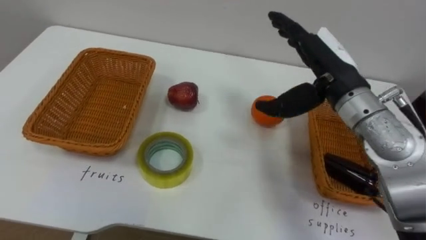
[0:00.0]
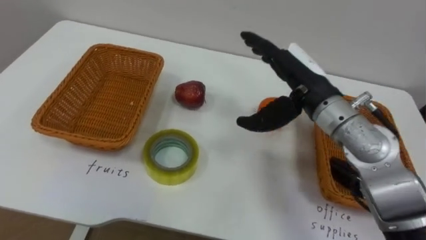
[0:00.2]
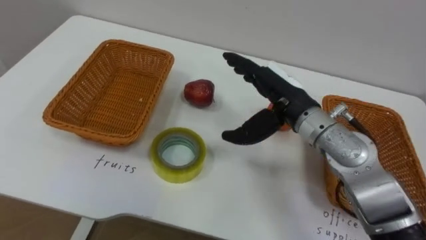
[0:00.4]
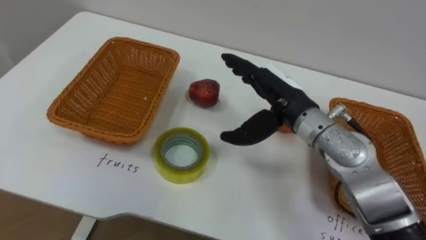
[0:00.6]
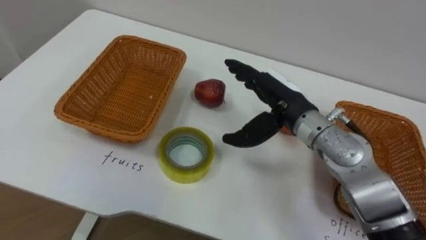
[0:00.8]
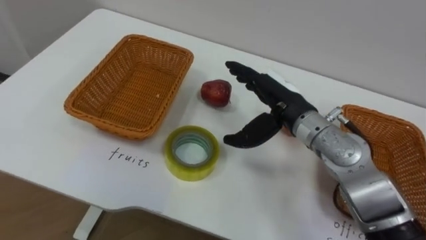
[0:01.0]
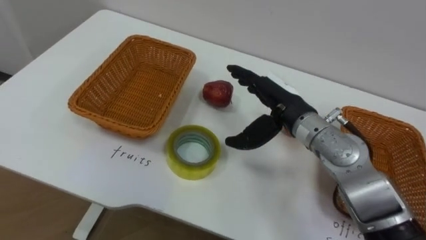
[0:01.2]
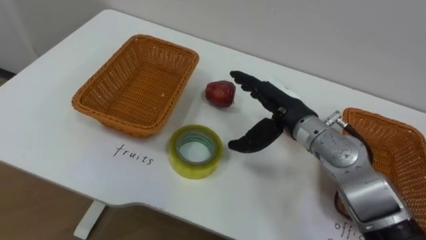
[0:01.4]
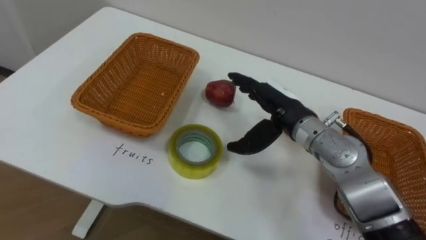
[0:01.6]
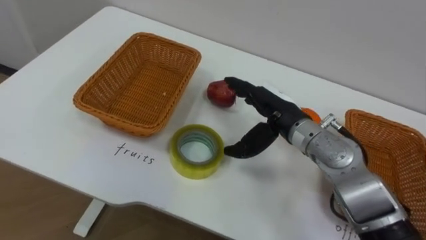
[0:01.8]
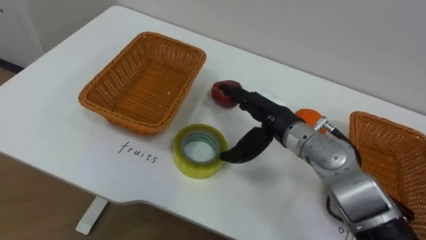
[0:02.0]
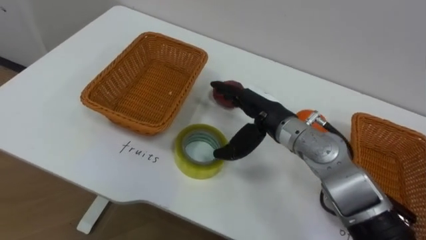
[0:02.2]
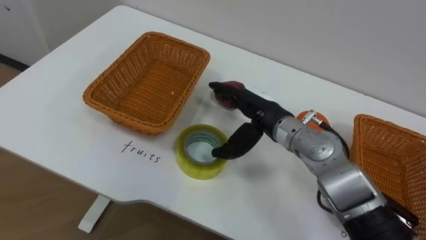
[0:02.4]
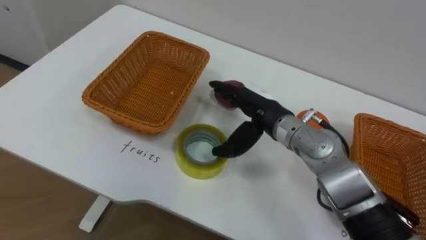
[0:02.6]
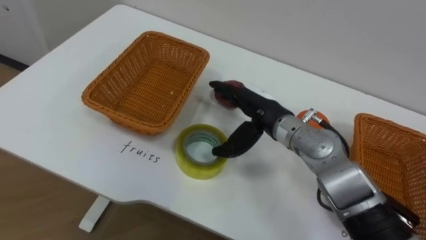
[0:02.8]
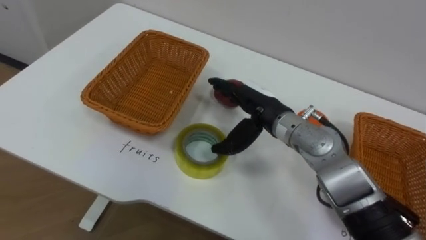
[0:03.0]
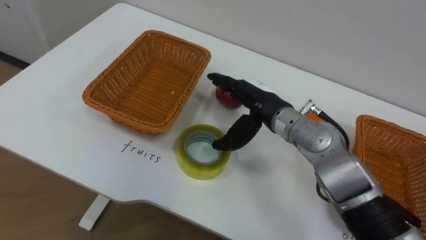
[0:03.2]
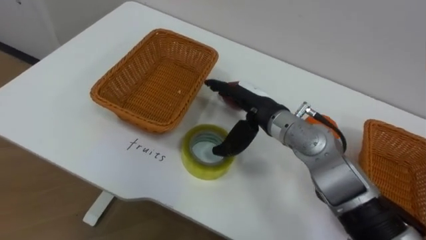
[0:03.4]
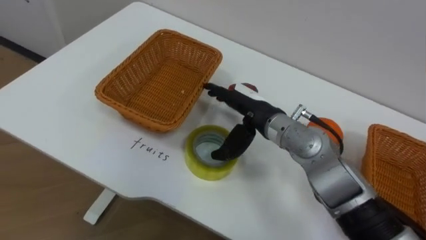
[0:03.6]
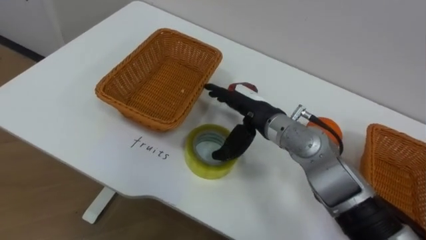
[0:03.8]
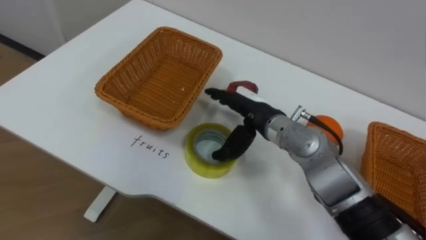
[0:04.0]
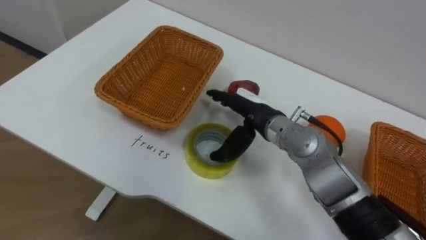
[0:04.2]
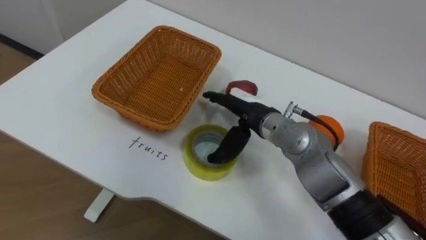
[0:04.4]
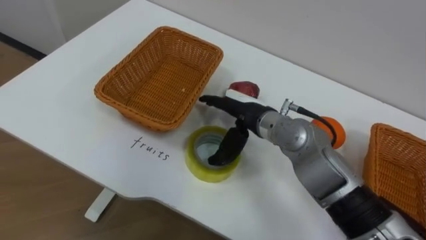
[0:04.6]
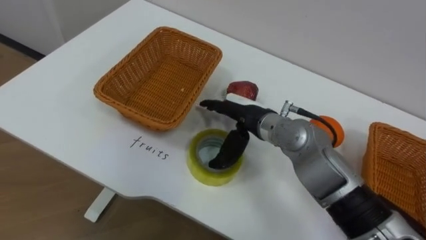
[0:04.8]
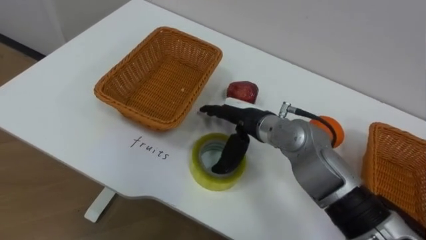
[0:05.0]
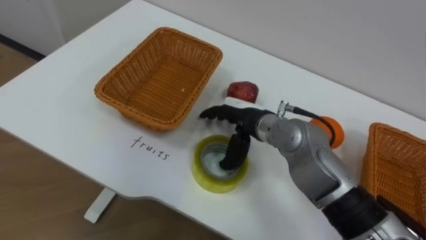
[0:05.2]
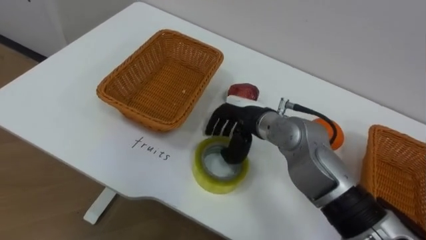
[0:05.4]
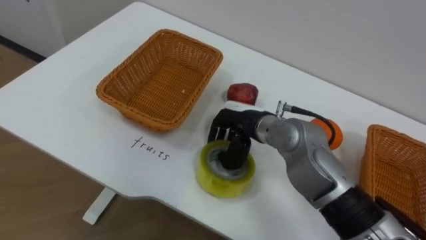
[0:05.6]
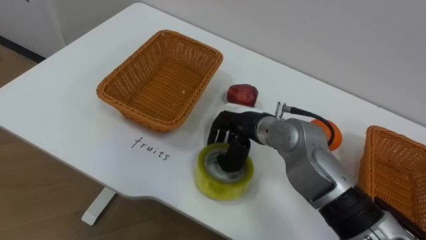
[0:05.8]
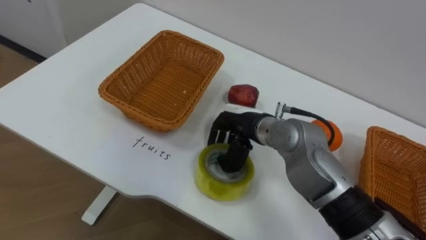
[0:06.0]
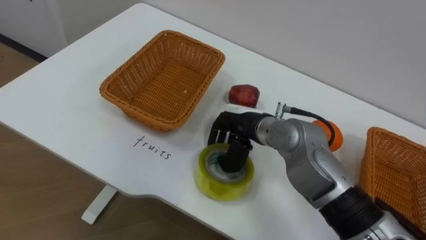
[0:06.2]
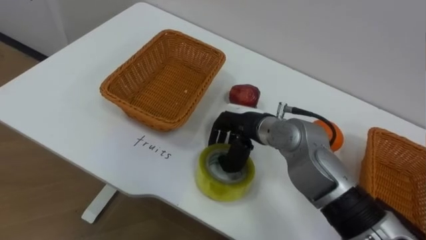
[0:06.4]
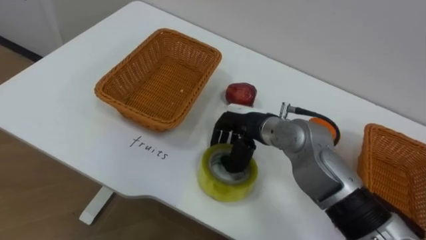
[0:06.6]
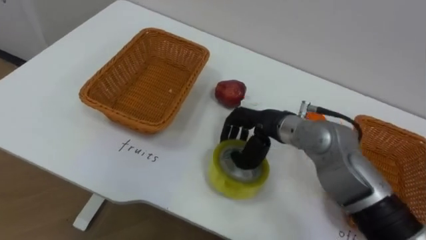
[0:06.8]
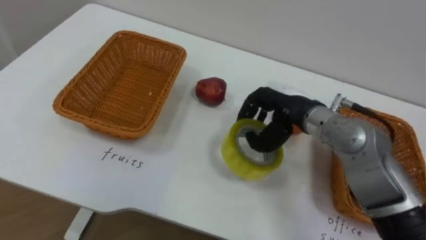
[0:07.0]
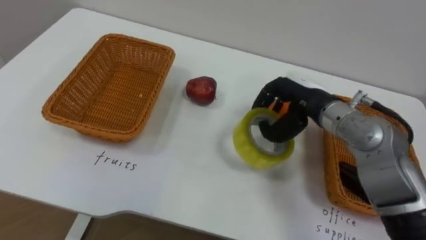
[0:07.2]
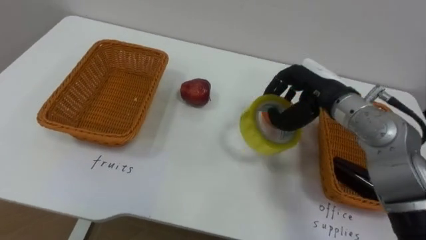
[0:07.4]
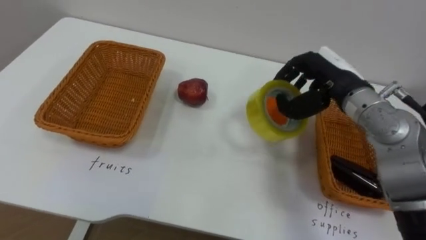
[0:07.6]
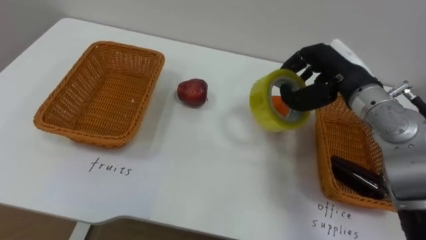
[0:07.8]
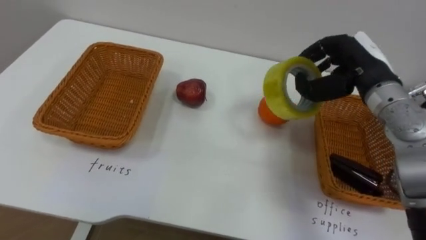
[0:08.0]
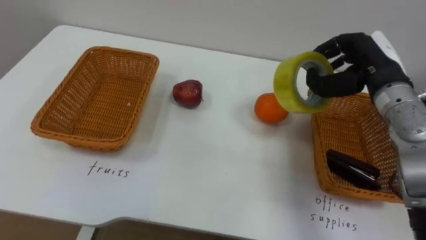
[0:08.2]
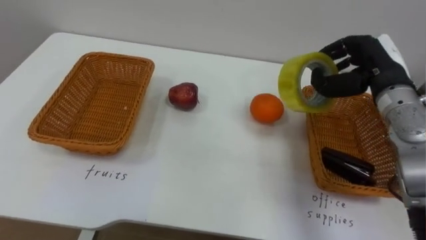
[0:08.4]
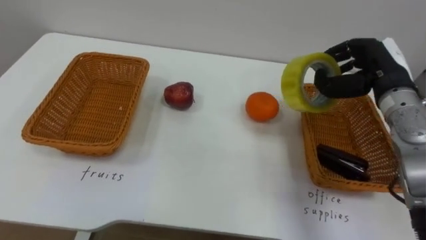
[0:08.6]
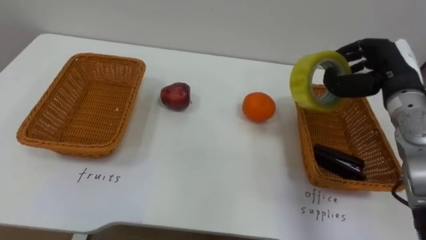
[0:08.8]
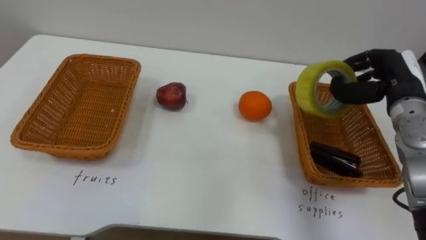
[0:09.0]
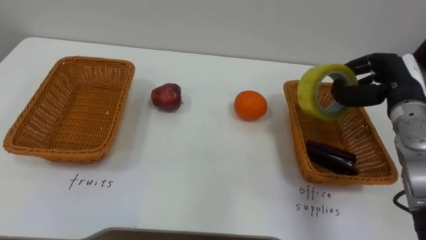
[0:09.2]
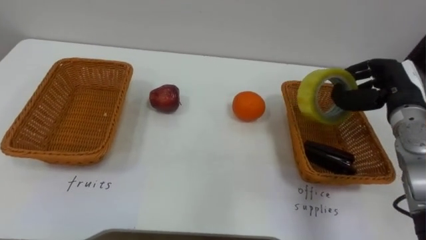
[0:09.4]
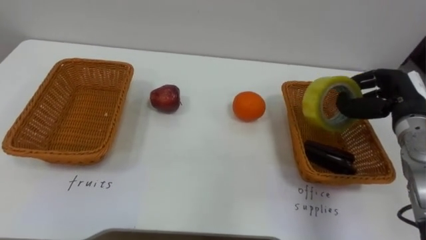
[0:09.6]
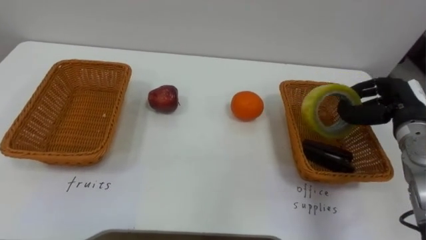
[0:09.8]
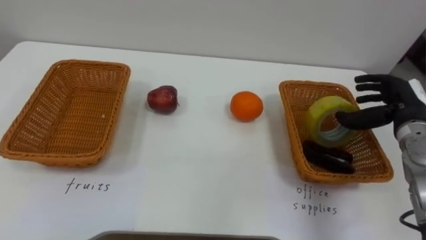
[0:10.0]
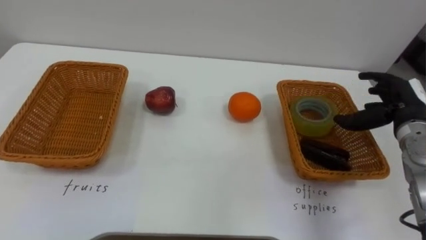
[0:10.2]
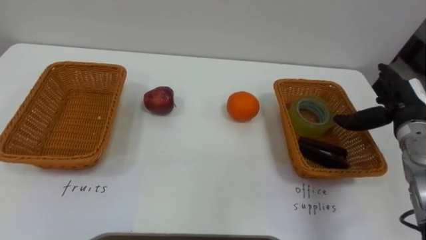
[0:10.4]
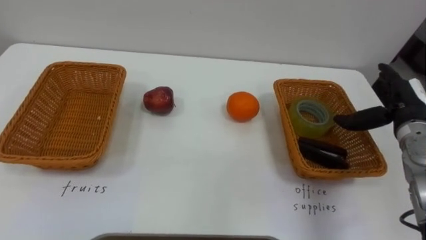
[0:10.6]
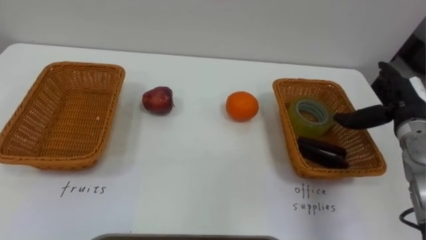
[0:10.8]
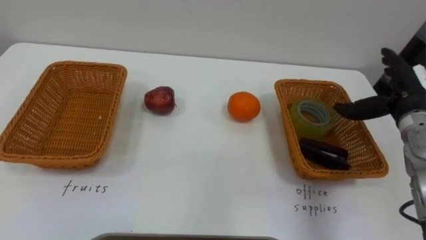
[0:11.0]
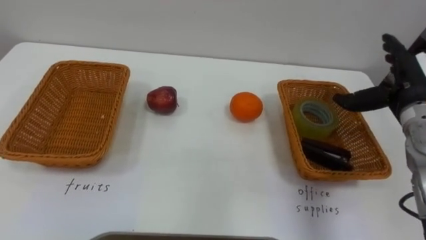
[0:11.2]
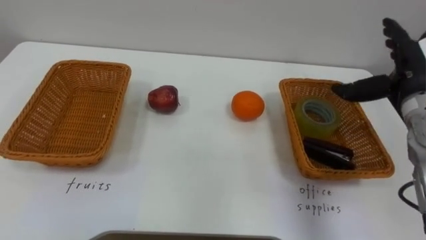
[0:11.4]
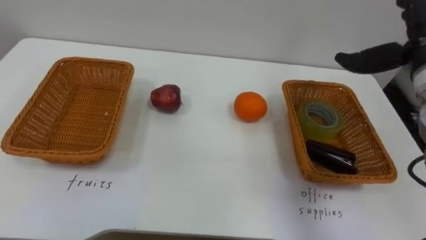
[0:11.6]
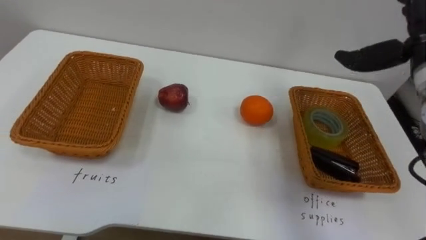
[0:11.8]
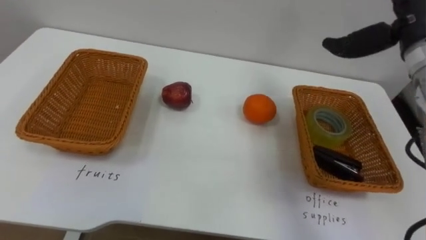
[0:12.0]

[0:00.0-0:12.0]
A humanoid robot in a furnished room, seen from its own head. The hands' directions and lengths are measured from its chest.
Task of the whole recording: Separate the items on the table and place them into the two baskets.
0:00.0 to 0:01.6: The right hand goes approximately 10 cm downward and to the left.
0:04.4 to 0:06.0: The right hand closes its fingers.
0:06.0 to 0:07.6: The right hand shifts approximately 15 cm to the right and upward.
0:07.6 to 0:09.0: The right hand goes roughly 10 cm to the right.
0:09.0 to 0:10.4: The right hand ends up about 5 cm from where it was, and opens.
0:10.4 to 0:12.0: The right hand moves upward, roughly 15 cm.

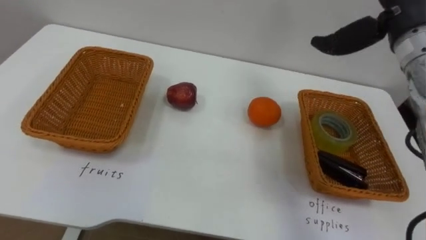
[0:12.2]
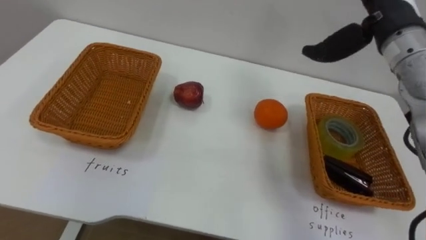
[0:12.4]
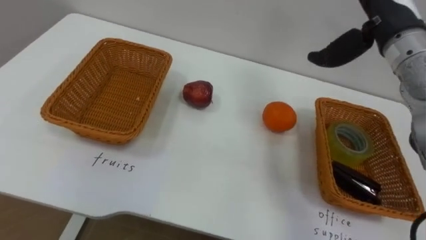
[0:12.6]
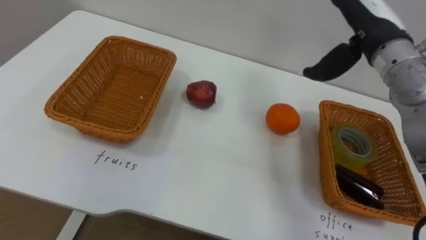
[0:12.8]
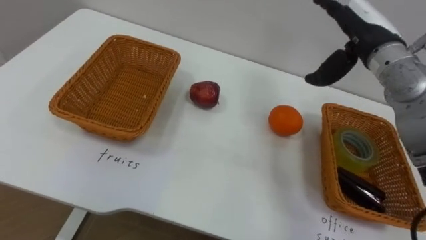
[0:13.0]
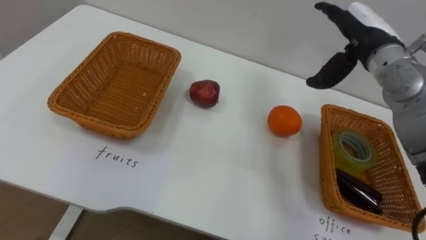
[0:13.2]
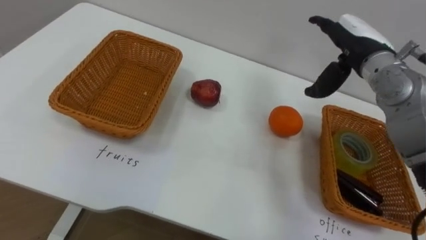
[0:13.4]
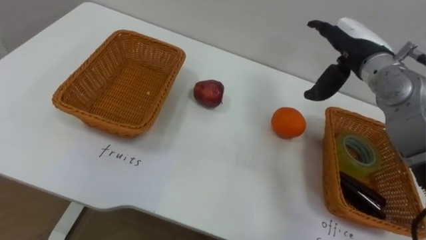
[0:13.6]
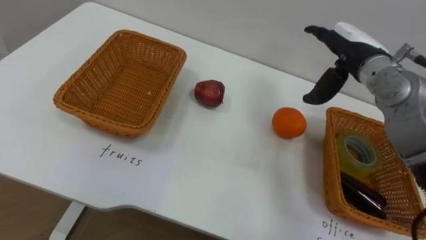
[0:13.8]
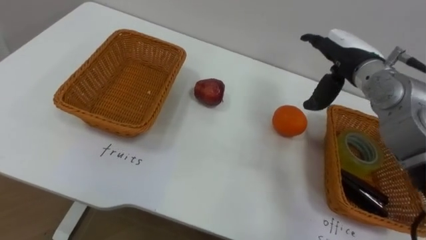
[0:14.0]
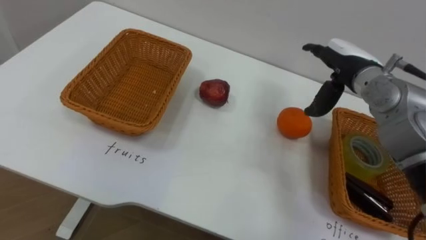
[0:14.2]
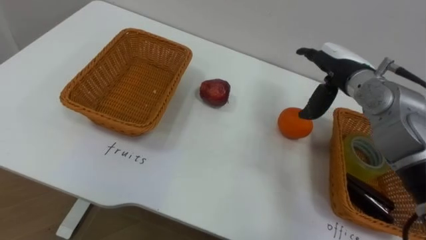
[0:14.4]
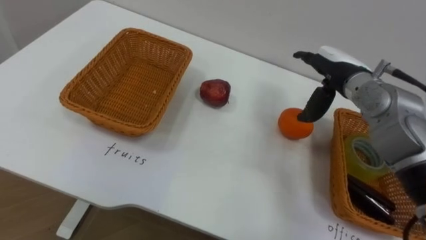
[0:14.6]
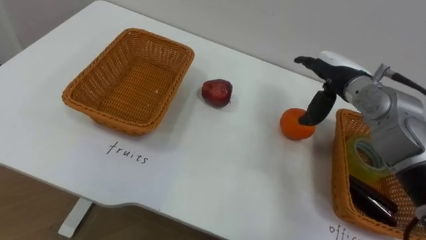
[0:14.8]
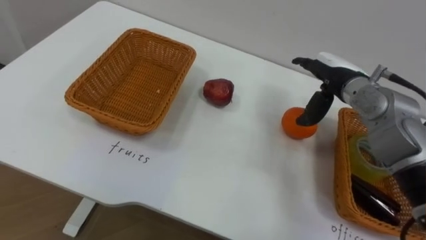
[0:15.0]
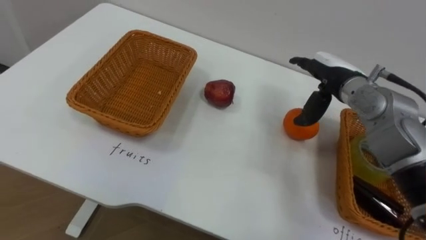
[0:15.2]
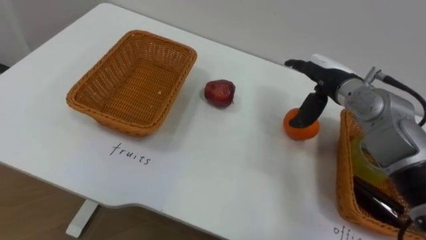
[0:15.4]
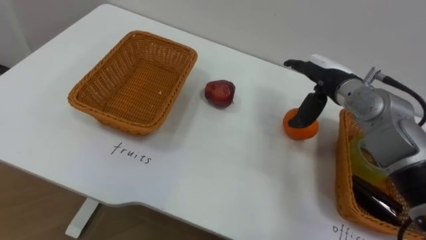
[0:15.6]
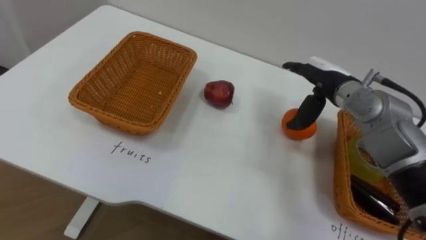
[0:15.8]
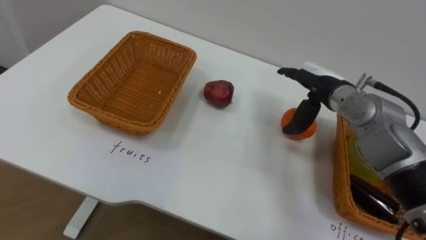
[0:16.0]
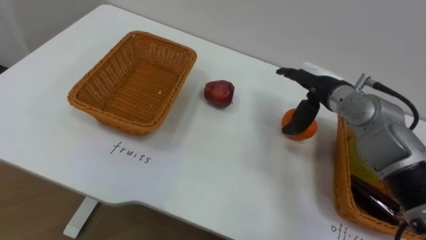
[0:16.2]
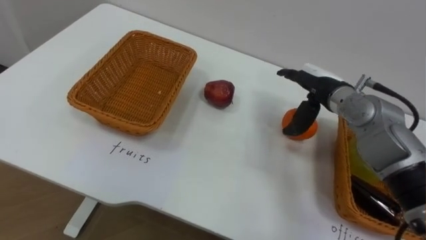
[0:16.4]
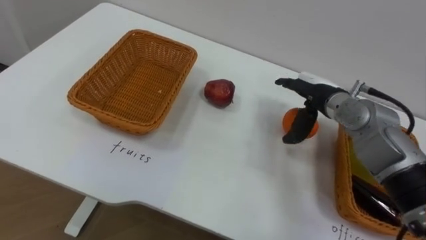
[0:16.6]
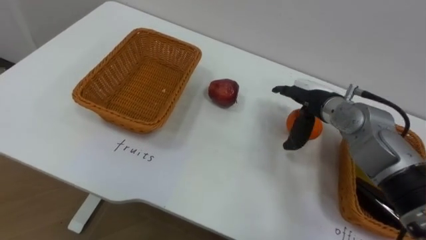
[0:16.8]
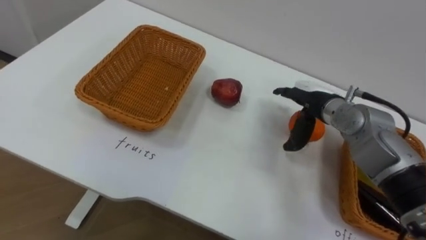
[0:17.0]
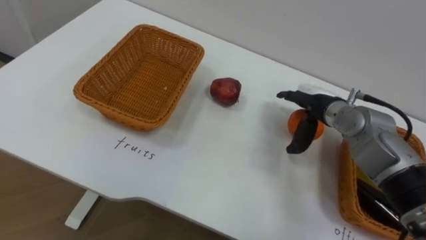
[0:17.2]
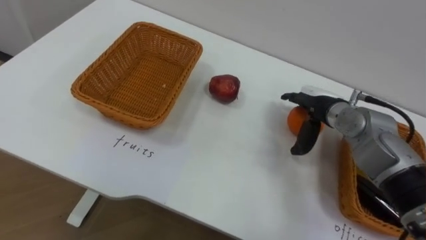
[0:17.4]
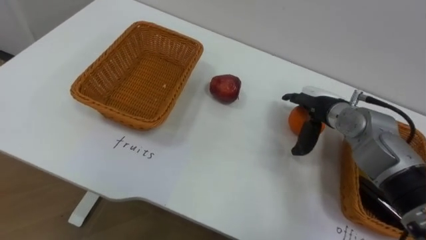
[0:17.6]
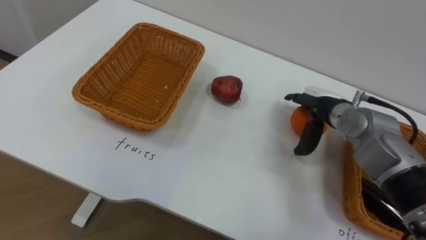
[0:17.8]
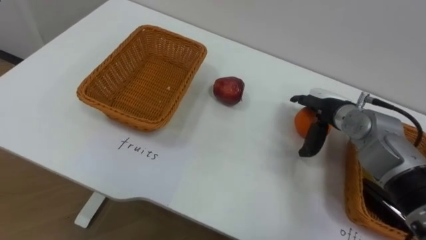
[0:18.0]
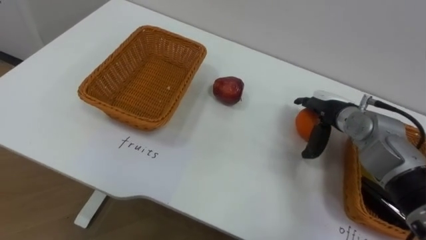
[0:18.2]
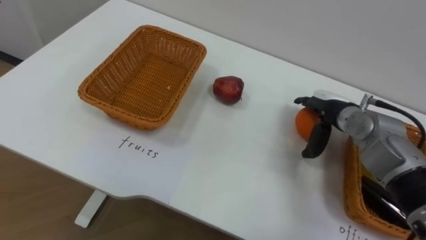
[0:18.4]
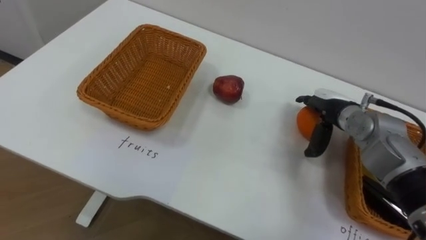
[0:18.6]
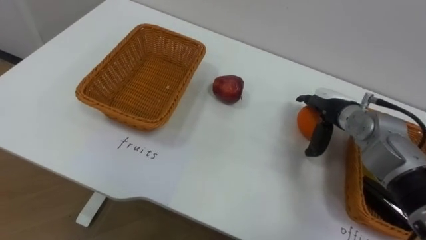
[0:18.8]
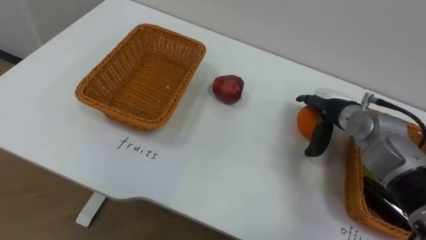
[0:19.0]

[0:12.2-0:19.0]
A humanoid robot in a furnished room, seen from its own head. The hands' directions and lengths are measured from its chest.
Task of the whole recording: Separate the items on the table and place them into the two baskets.
0:12.2 to 0:13.6: The right hand goes approximately 10 cm downward.
0:13.6 to 0:15.0: The right hand heads downward, covering approximately 5 cm.
